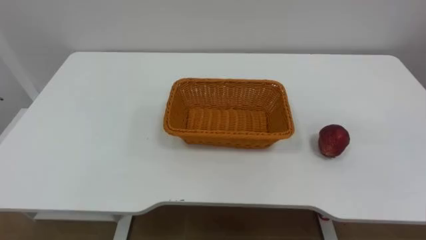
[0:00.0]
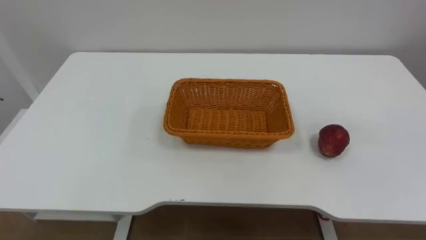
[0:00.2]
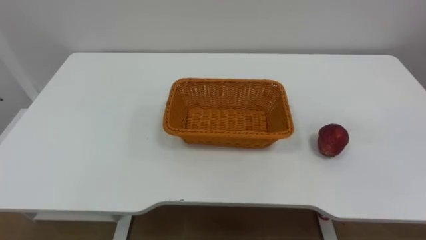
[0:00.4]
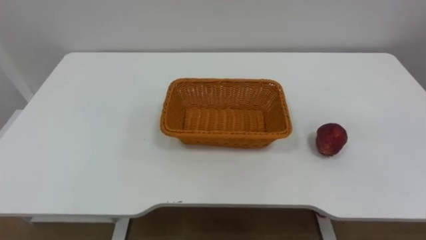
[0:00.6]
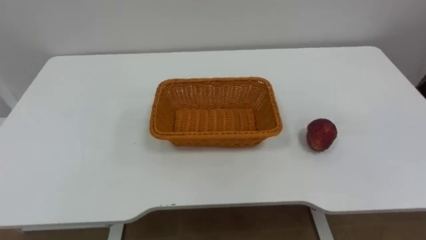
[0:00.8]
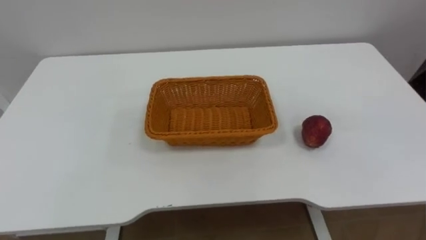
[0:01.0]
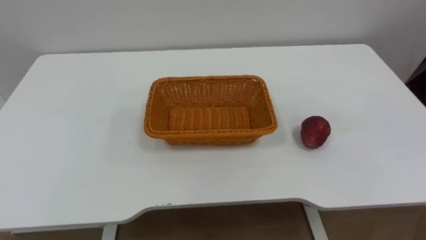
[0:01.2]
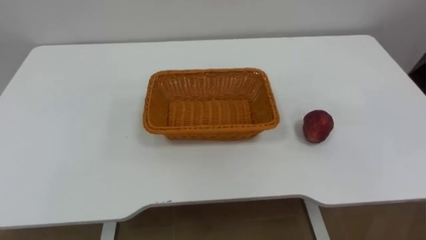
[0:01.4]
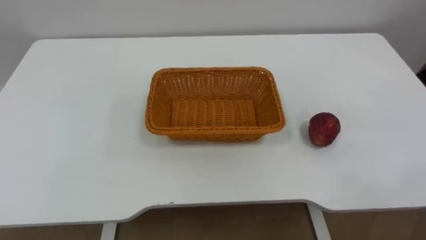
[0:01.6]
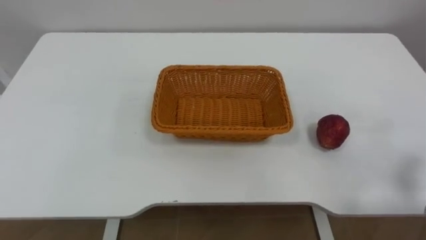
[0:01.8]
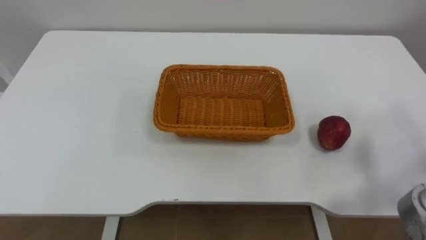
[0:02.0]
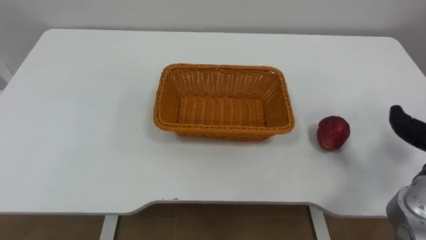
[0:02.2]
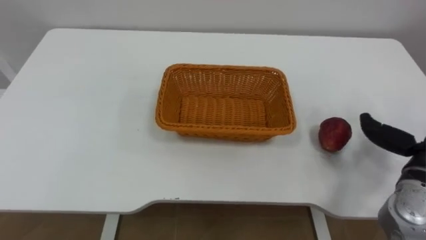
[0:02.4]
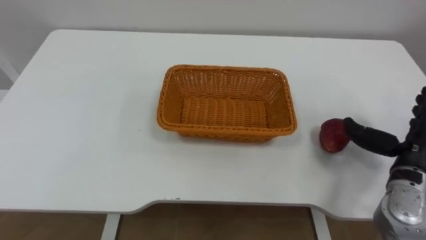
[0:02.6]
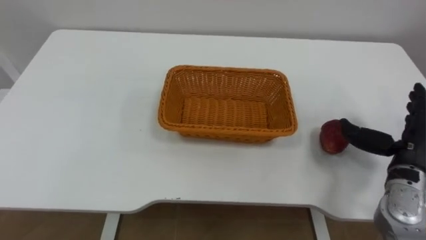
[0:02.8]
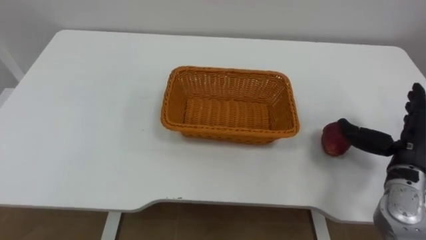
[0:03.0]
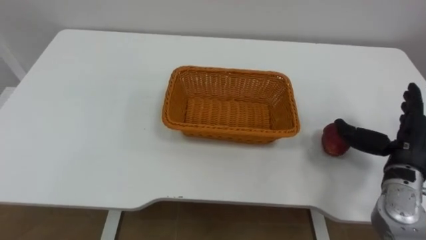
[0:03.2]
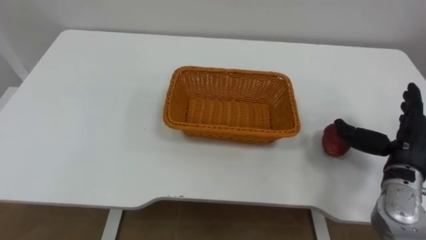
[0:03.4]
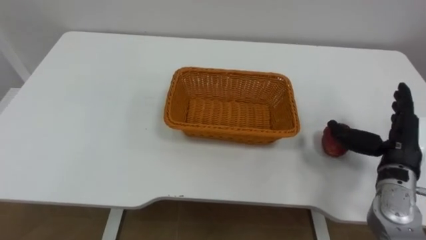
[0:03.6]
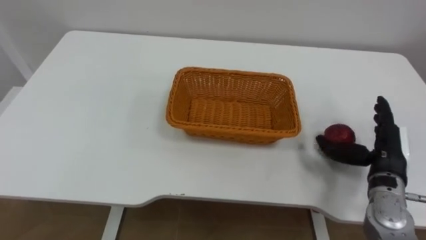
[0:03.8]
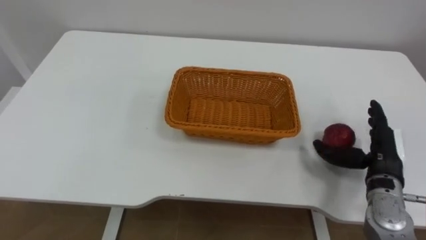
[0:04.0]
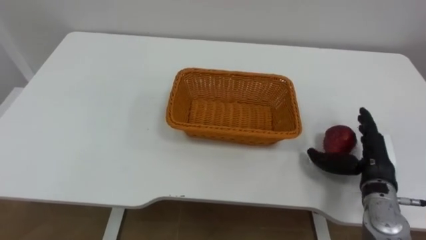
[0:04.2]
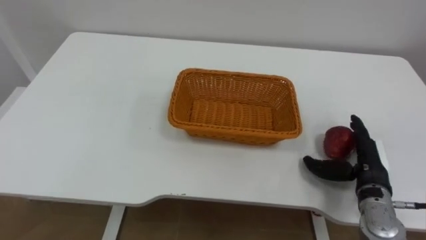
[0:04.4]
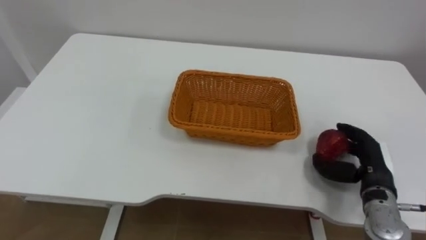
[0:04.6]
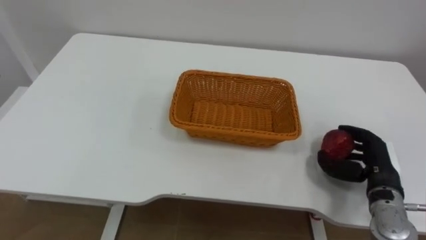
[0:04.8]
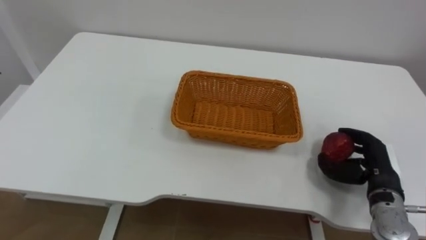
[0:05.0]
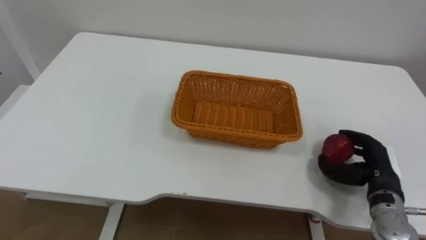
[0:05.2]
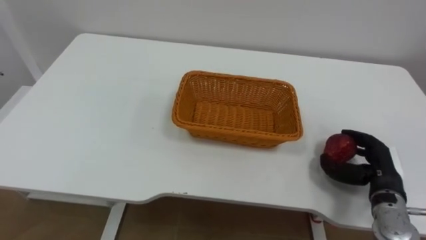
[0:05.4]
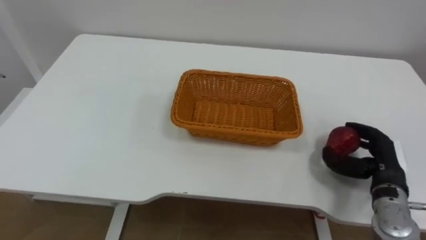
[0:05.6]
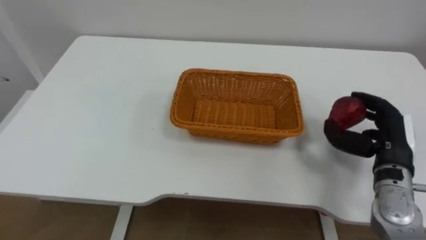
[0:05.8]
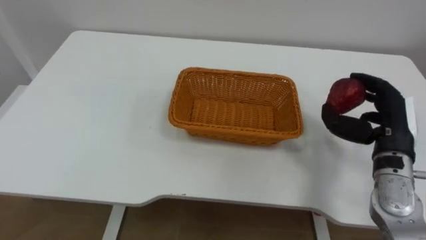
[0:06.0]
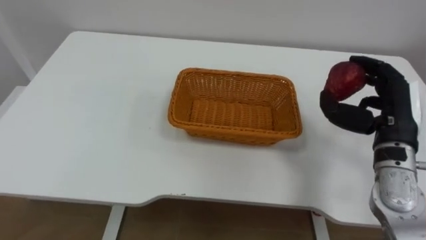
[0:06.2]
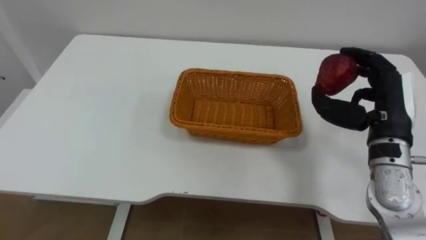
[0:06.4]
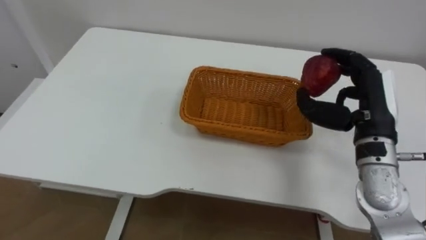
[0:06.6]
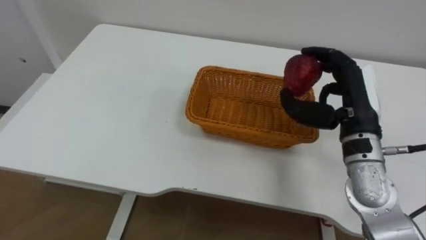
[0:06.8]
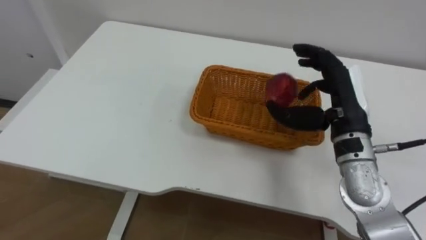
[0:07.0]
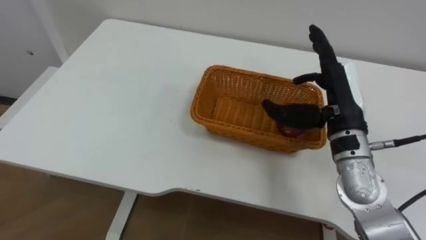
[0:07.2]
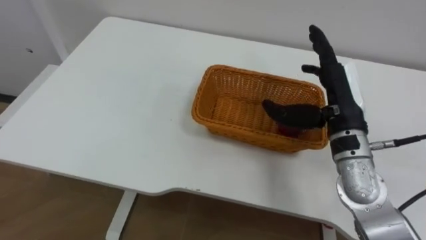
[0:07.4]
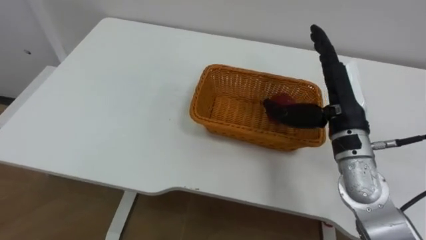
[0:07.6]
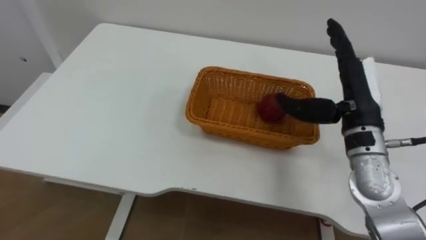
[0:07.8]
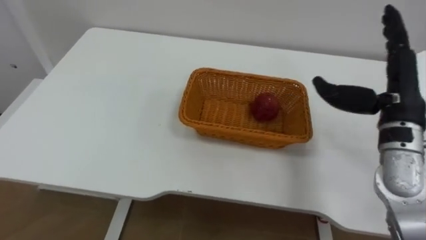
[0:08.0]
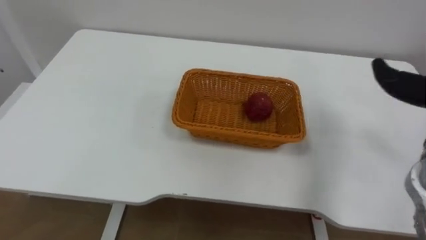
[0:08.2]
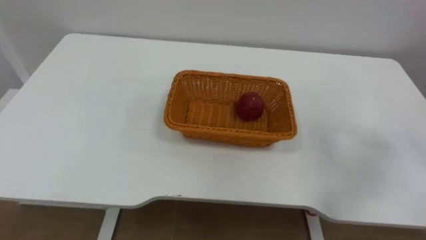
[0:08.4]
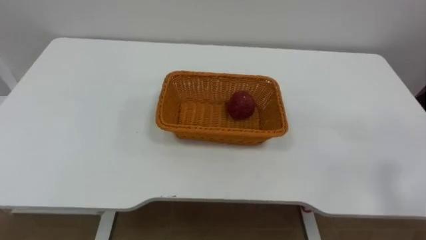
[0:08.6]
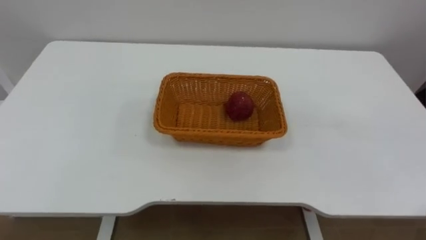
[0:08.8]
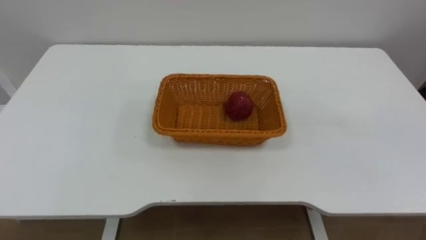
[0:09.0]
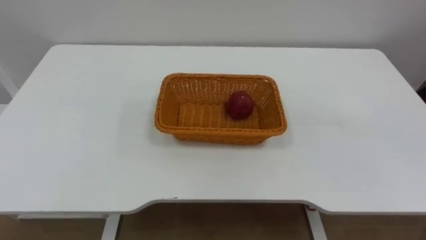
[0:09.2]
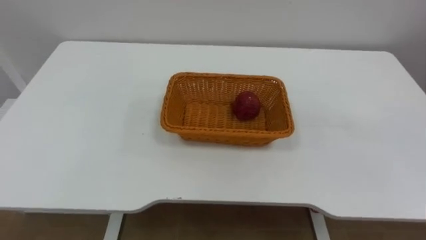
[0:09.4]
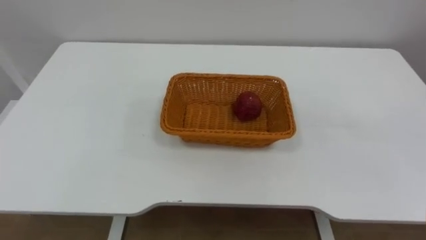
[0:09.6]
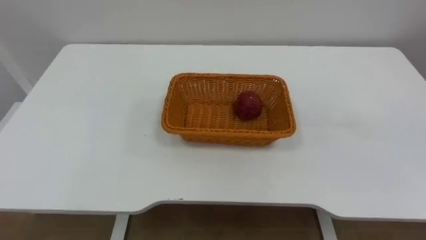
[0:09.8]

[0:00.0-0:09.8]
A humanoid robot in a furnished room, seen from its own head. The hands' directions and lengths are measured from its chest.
Task of the whole recording: Pick the apple and place it in the box.
0:02.8 to 0:04.2: The right hand moves downward, roughly 5 cm.
0:04.2 to 0:05.6: The right hand closes up.
0:05.6 to 0:07.0: The right hand heads upward and to the left, covering some 20 cm.

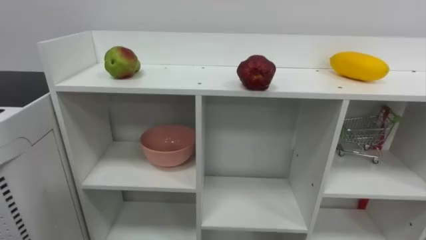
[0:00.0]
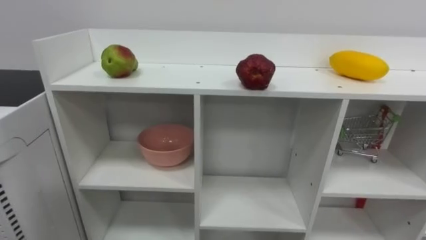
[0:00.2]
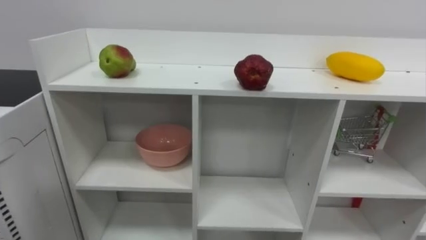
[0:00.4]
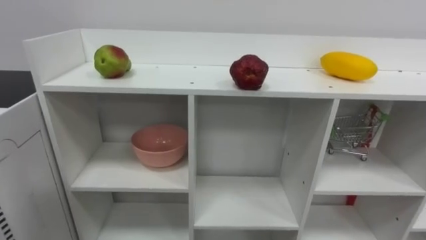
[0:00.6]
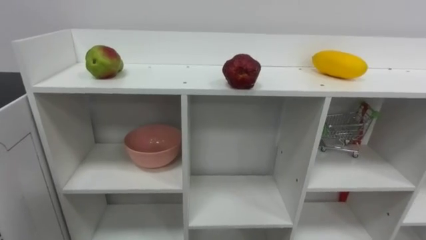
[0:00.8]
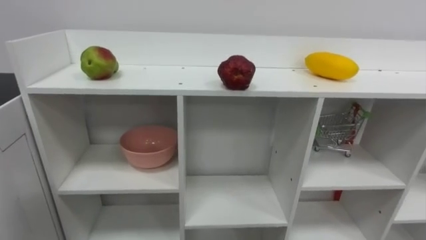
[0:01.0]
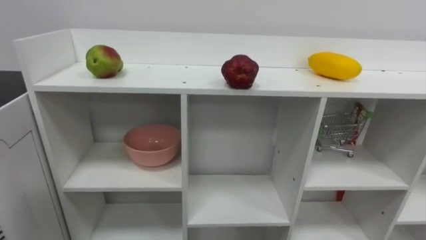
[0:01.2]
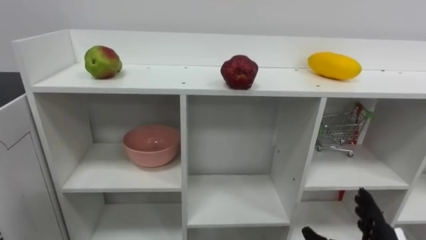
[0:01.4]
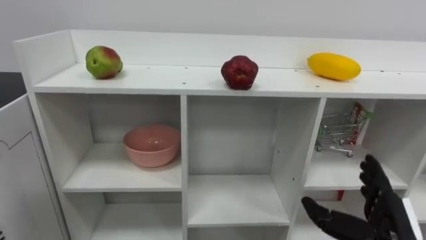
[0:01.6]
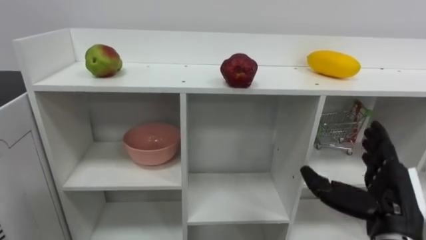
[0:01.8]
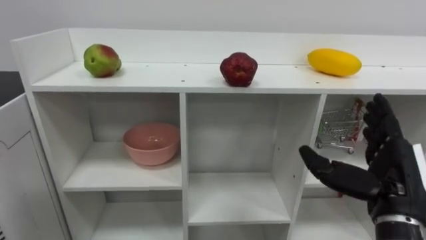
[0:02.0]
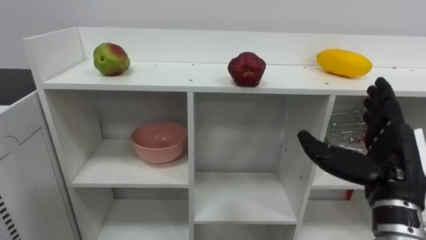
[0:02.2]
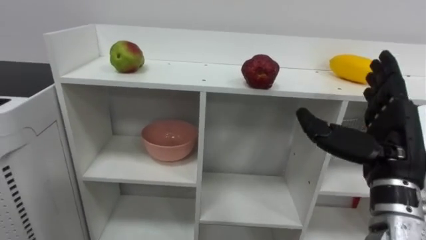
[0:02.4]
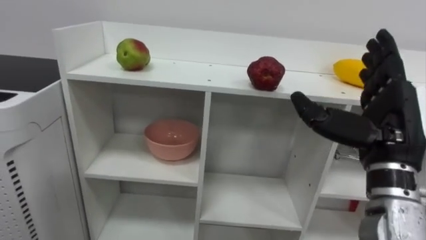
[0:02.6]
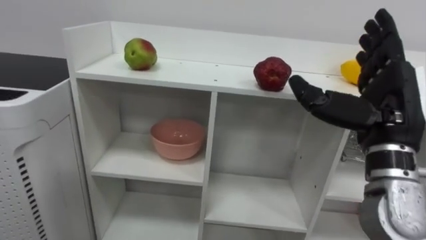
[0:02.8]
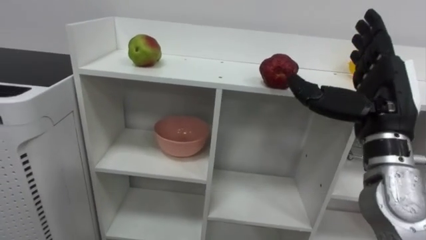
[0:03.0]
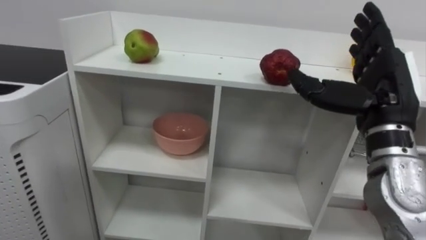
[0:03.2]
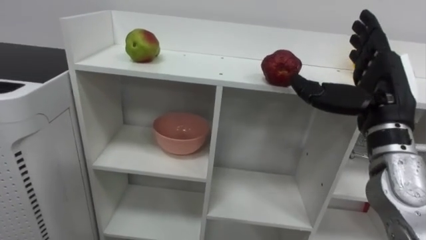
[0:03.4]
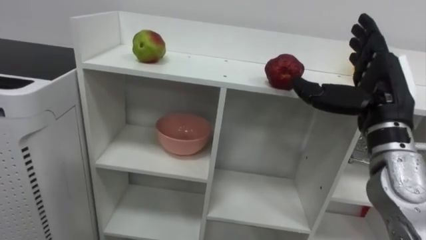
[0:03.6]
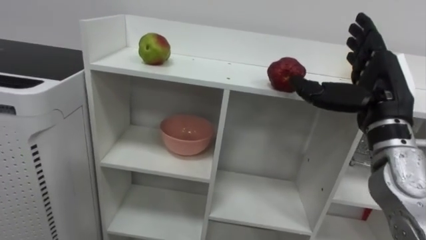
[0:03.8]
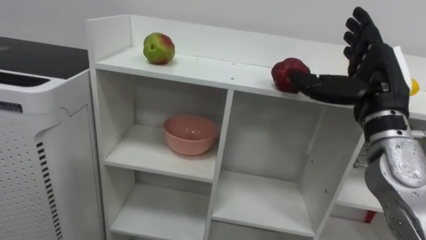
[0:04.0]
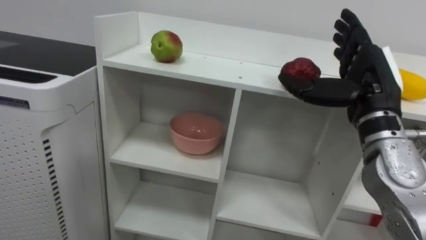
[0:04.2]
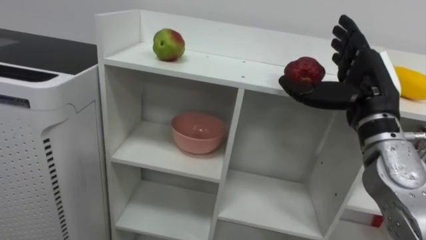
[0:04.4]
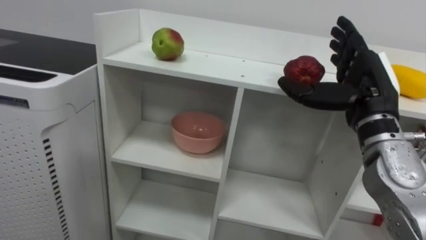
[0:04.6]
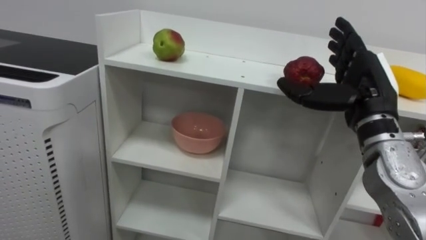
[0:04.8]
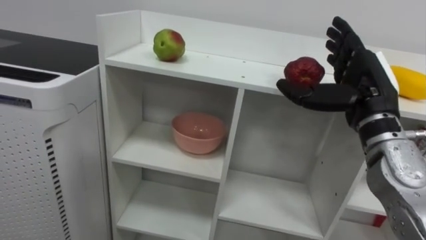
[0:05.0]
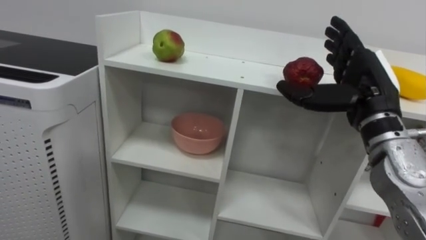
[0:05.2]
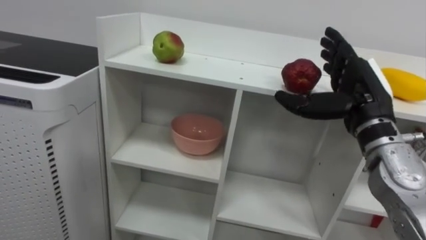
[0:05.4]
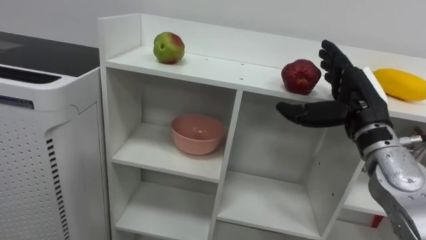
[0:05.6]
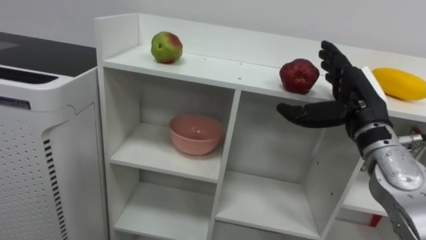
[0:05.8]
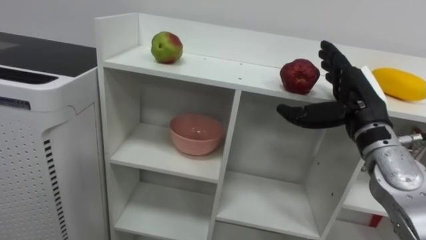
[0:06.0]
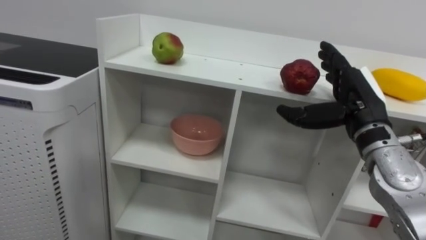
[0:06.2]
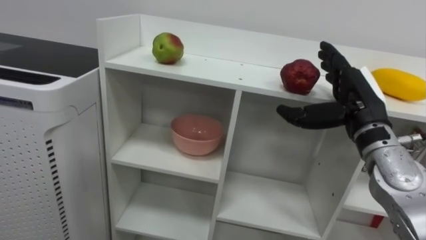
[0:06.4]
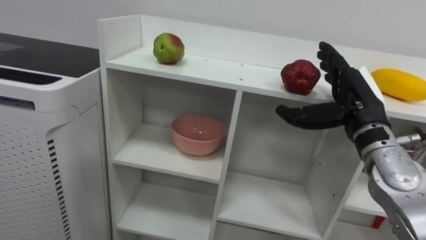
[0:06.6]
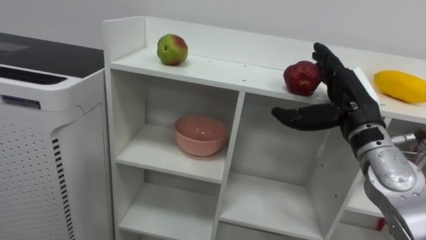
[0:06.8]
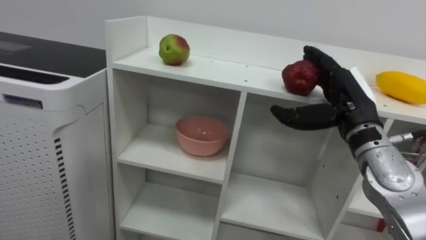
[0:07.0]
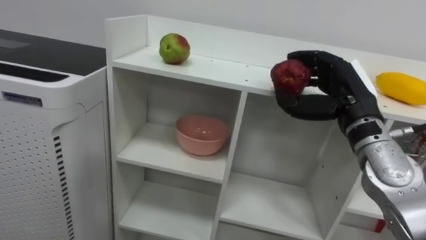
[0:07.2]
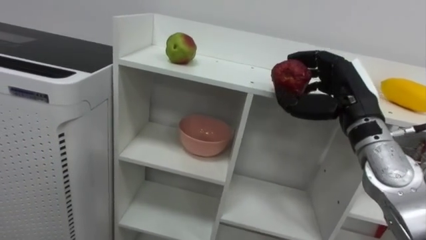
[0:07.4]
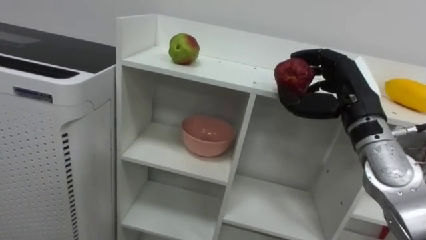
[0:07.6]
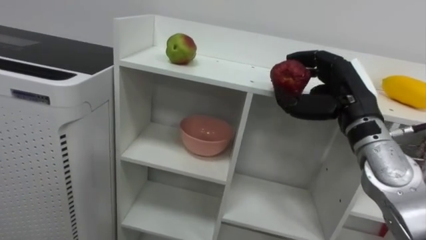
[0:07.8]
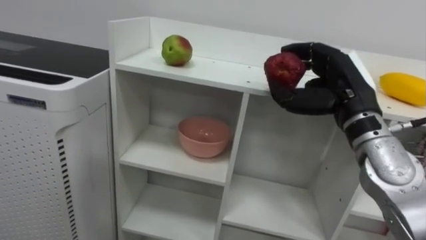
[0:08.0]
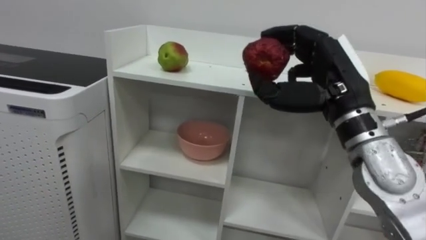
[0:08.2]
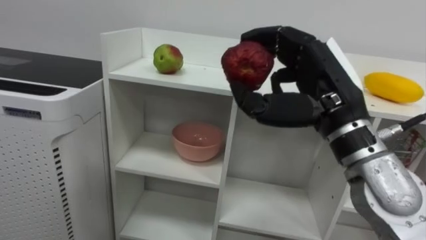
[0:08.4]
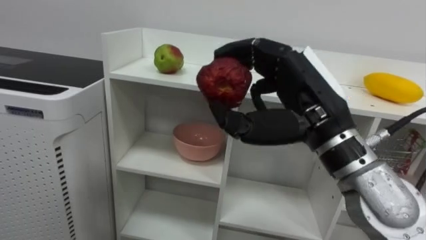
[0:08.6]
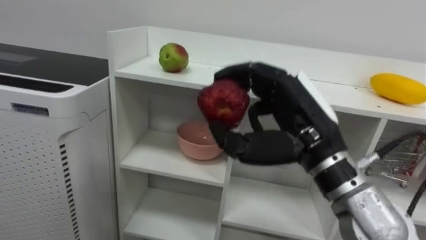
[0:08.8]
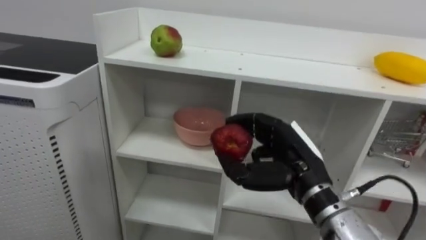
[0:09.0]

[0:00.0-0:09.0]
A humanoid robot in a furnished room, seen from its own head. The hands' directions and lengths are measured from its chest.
Task of the whole recording: Put the apple in the cell in the second column from the left and the second row from the top.
0:01.6 to 0:03.0: The right hand shifts some 20 cm upward.
0:06.0 to 0:07.6: The right hand closes.
0:07.6 to 0:09.0: The right hand moves to the left, downward and backward, roughly 15 cm.
